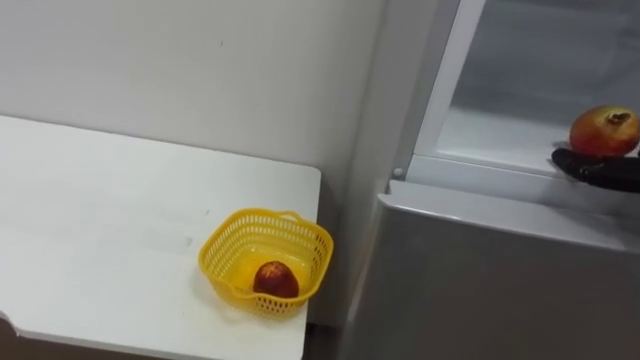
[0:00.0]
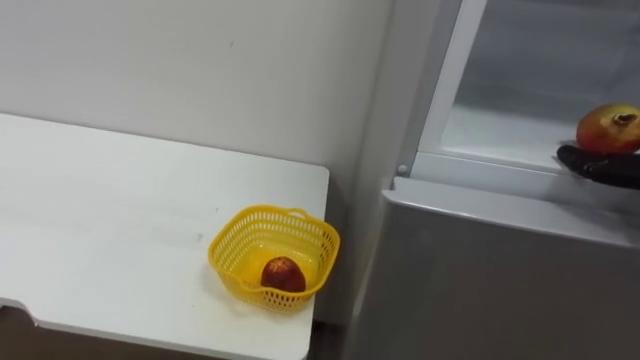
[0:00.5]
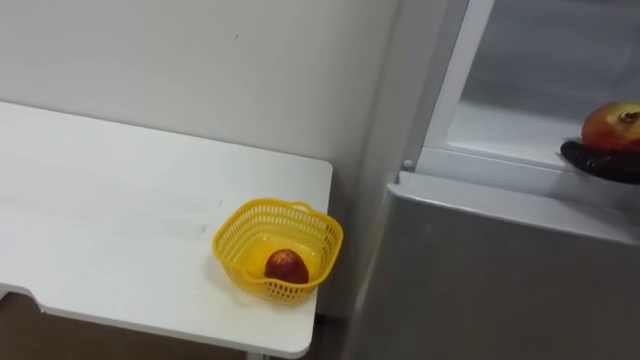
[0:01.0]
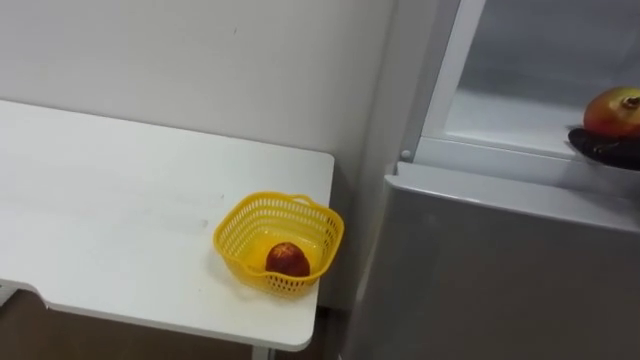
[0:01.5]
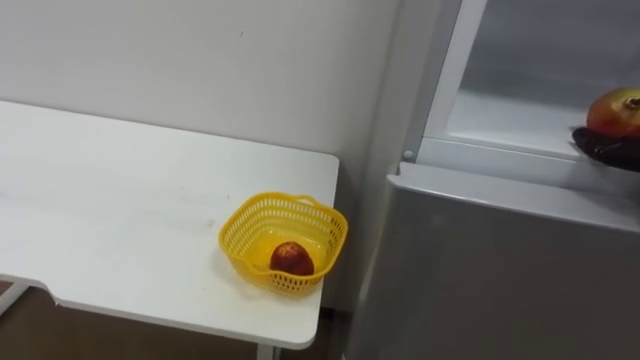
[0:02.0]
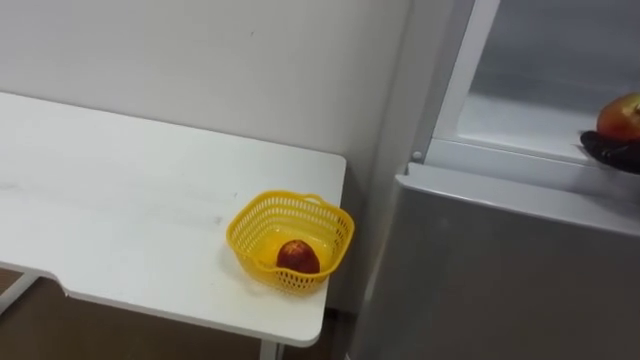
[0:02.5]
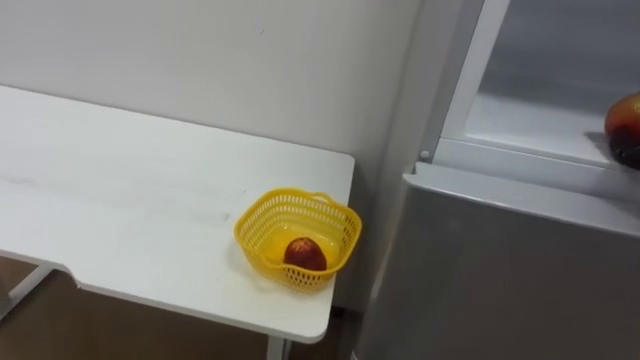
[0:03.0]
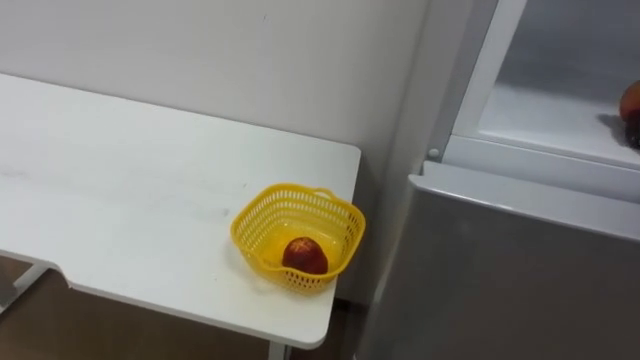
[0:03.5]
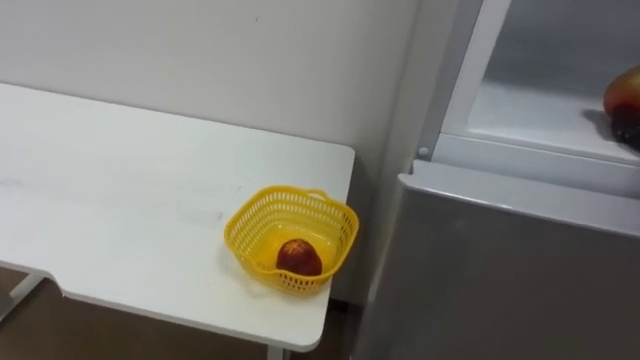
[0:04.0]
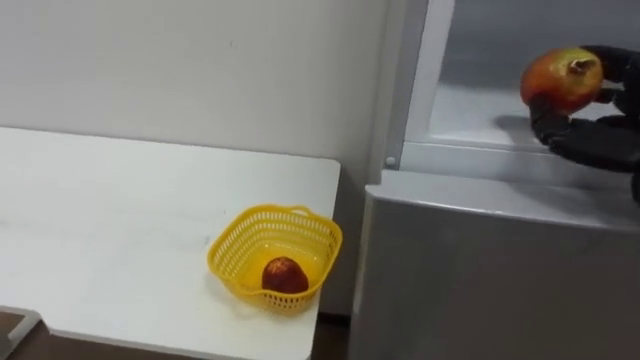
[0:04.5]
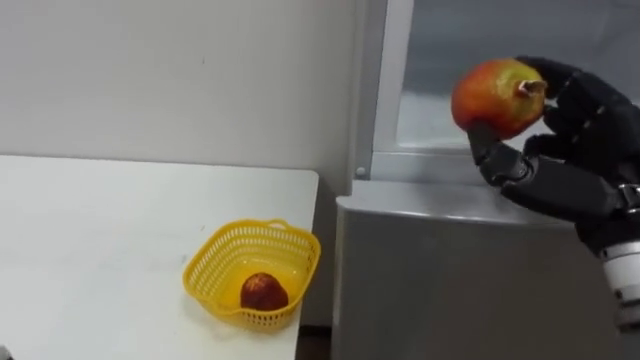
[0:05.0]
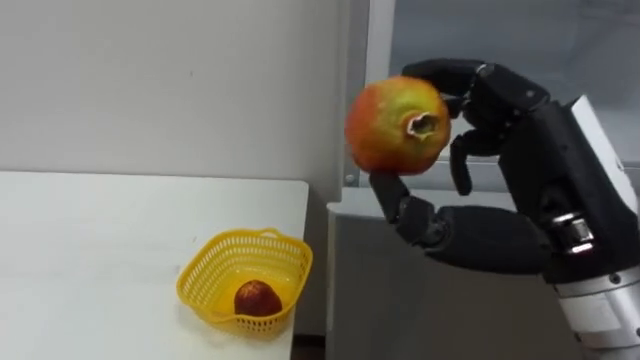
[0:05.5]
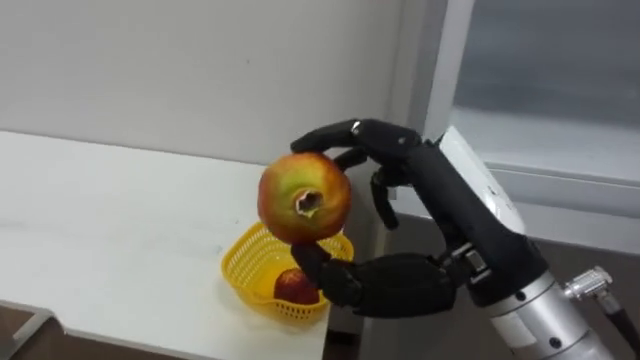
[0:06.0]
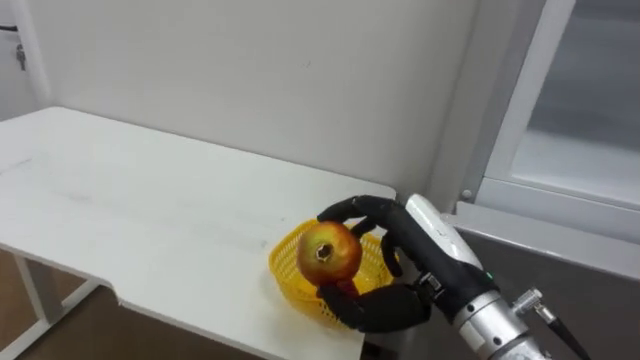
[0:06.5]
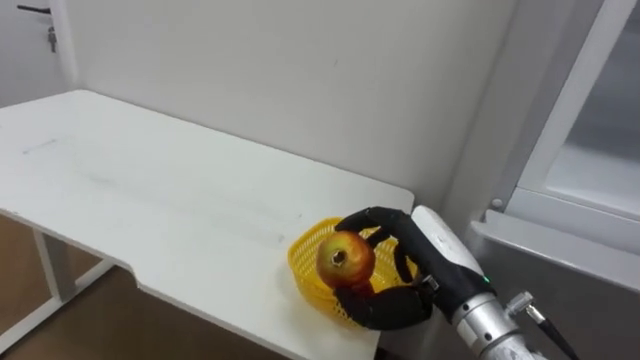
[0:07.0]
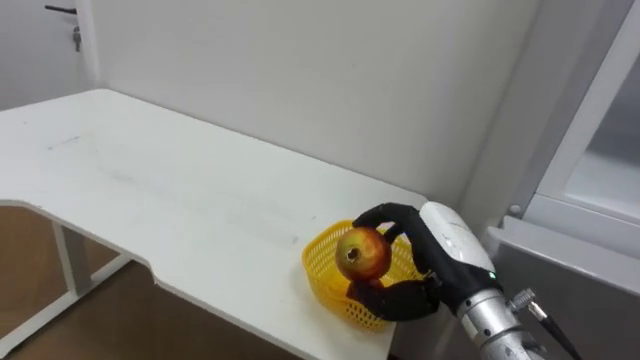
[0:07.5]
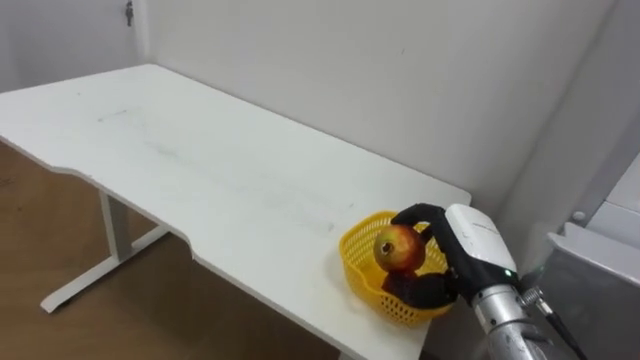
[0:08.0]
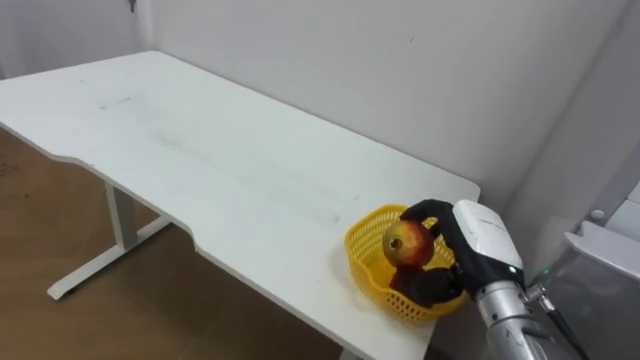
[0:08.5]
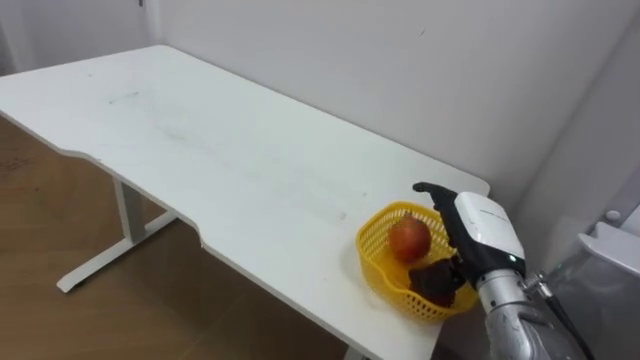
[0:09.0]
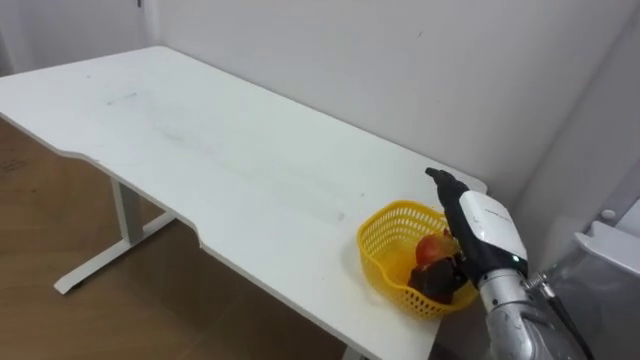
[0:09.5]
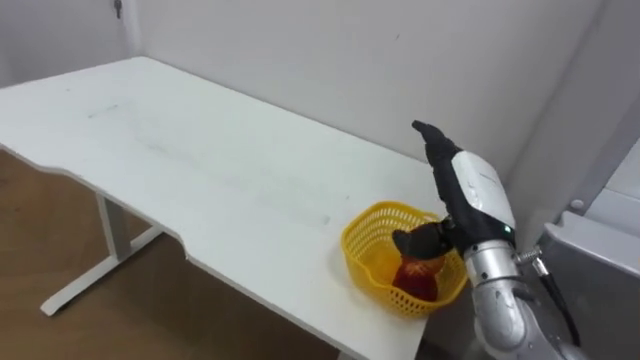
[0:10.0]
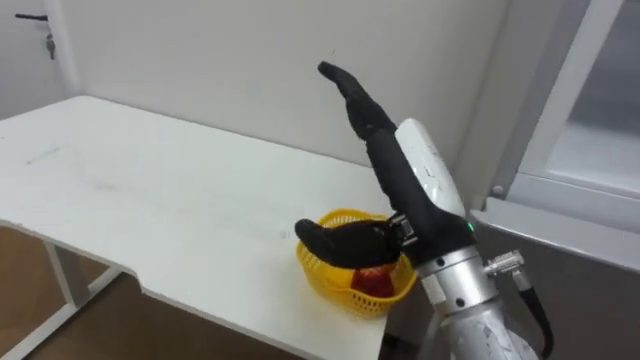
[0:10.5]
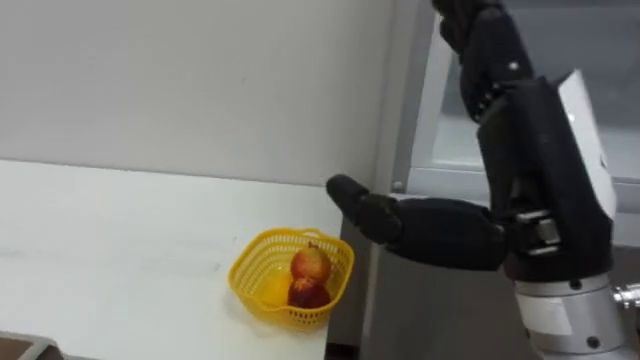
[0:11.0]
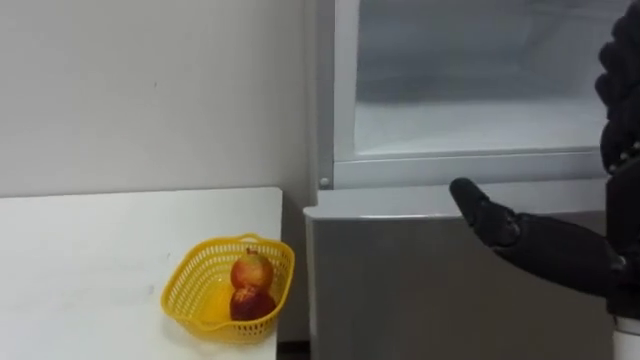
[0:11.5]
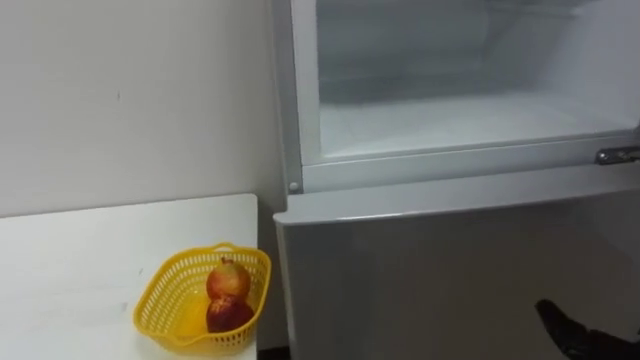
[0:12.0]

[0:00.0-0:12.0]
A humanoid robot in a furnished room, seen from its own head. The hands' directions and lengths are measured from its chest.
Task of the whole recording: Open the refrigerator door, take out the apple and the pomegranate, place them in the fruit basket on the left, and close the refrigerator door.
0:06.0 to 0:08.0: The right hand moves downward, forward and to the right, roughly 20 cm.
0:08.0 to 0:10.0: The right hand travels upward by roughly 5 cm, and opens up.

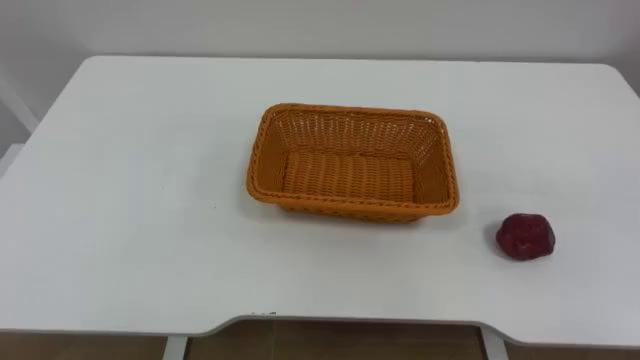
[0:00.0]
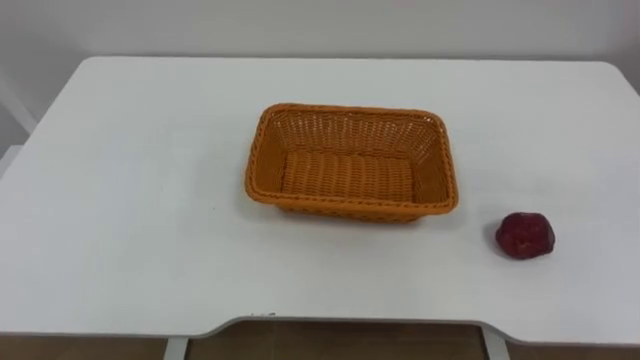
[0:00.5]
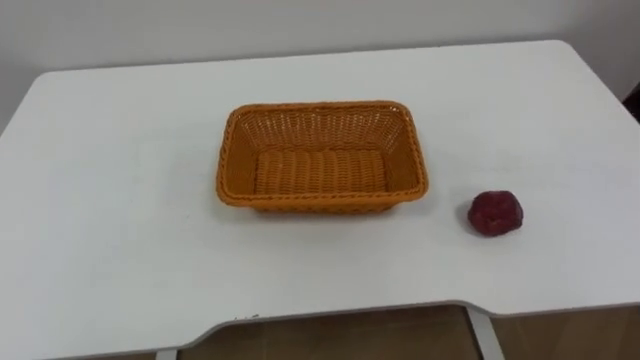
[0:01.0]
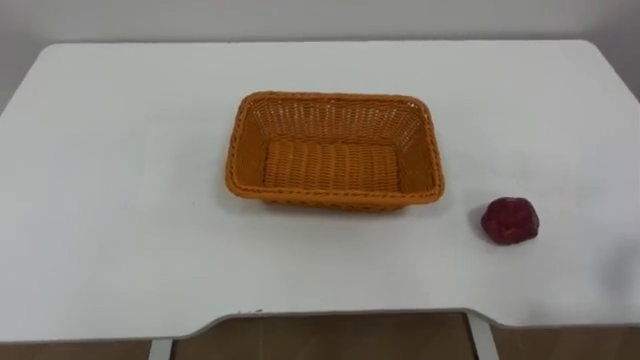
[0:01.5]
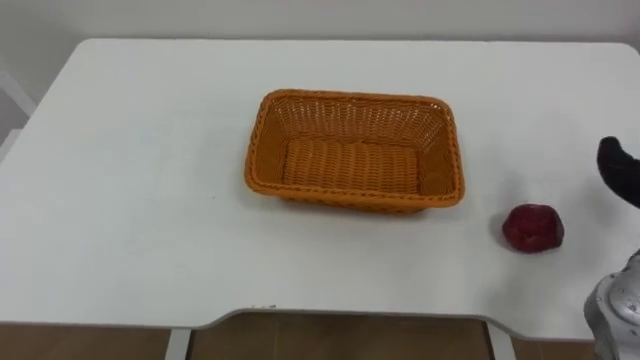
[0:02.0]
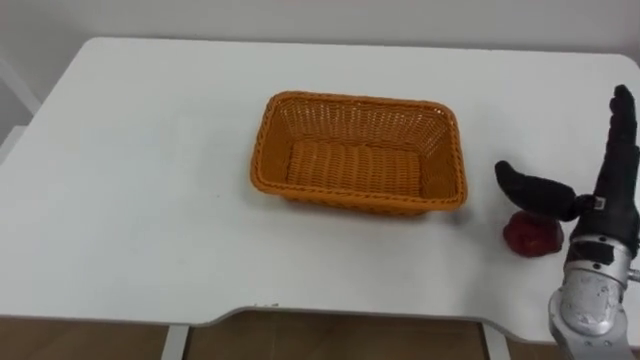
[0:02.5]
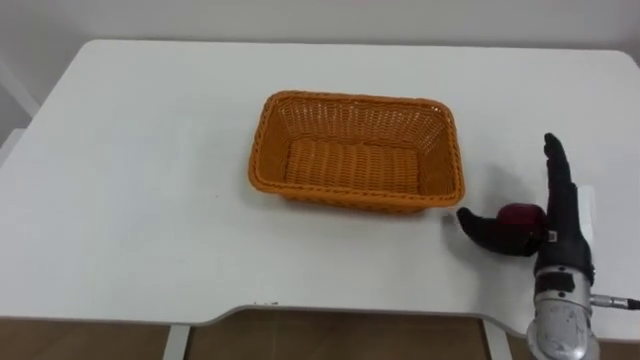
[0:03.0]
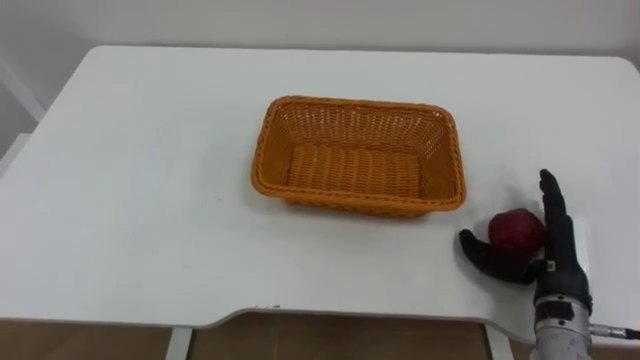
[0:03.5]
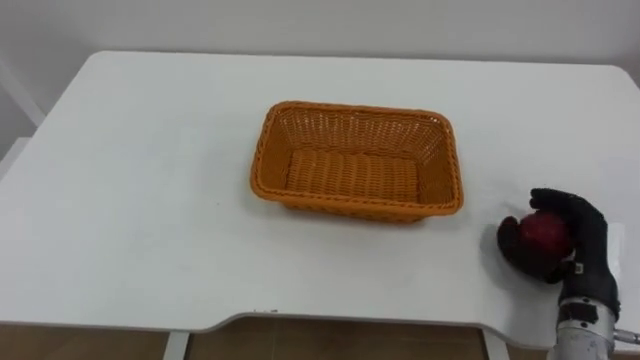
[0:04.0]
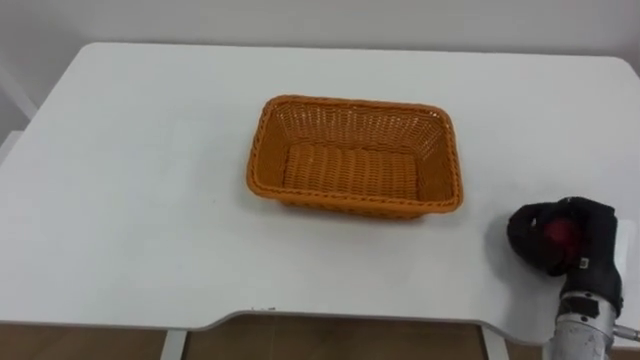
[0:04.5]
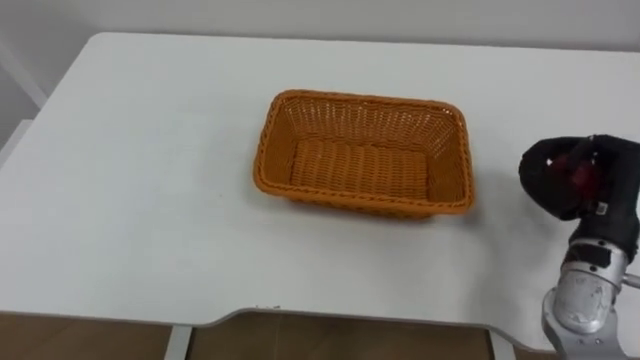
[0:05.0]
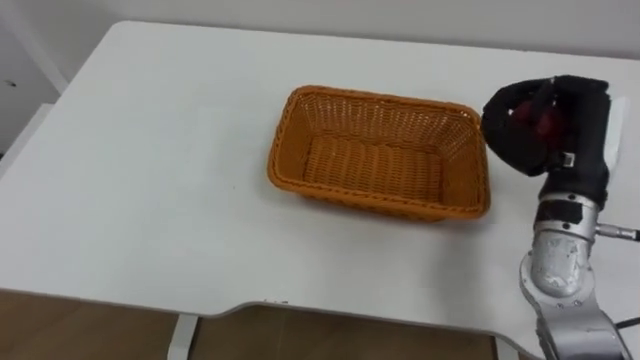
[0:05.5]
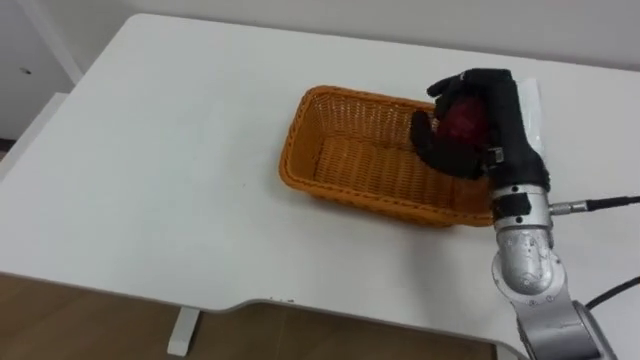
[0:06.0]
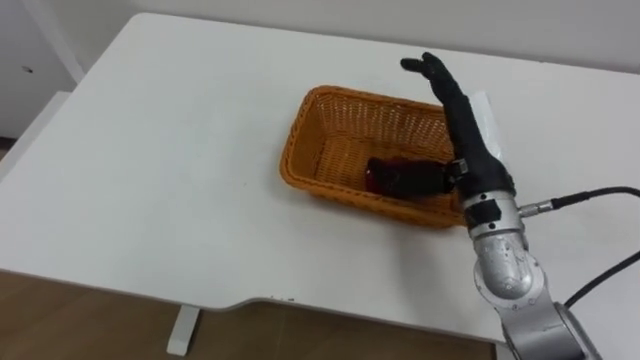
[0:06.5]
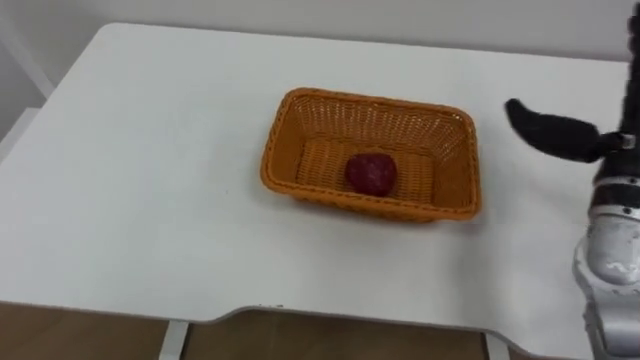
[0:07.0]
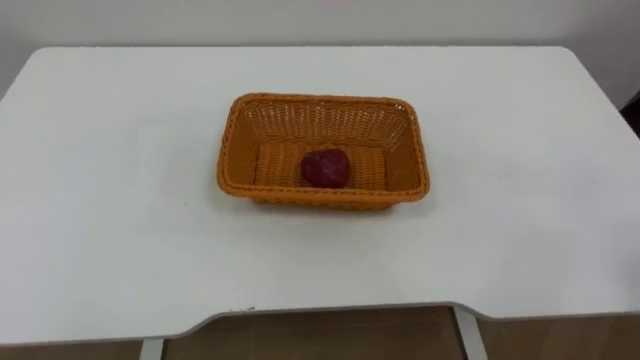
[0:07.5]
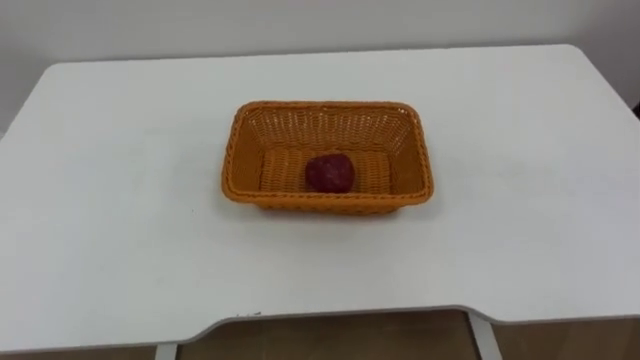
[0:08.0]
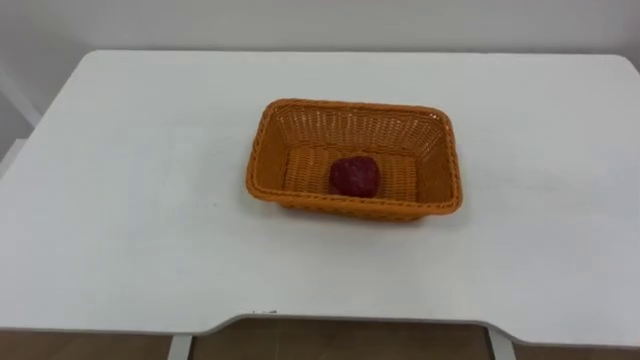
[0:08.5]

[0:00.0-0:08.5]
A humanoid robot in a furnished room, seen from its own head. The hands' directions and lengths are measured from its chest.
Task of the whole recording: Pick the apple and place it in the box.
0:04.0 to 0:06.5: The right hand heads to the left, upward and forward, covering approximately 20 cm, and opens.
